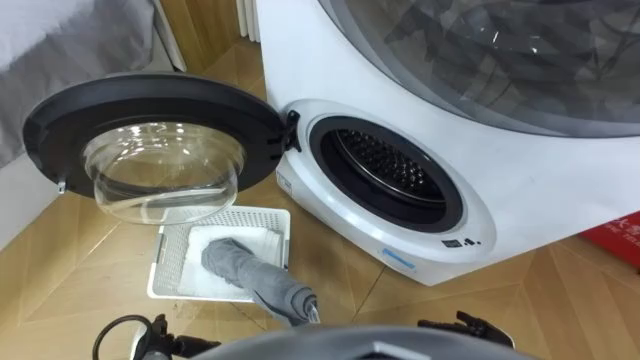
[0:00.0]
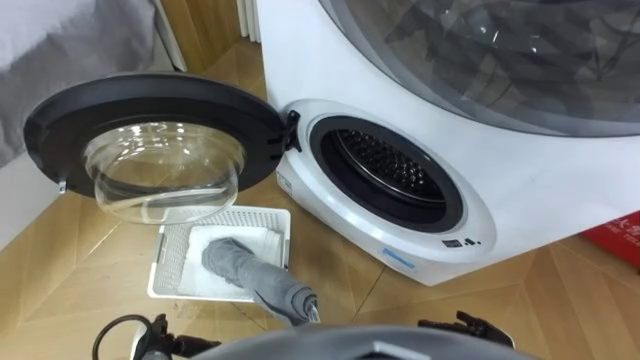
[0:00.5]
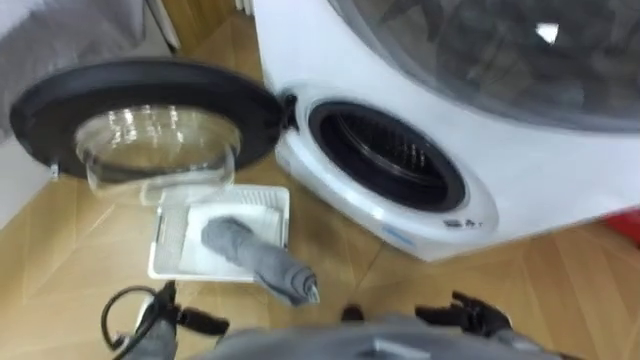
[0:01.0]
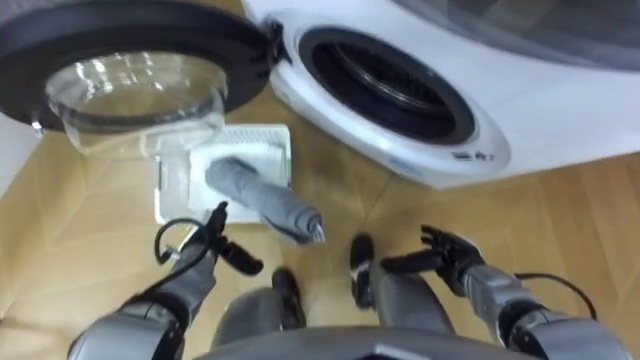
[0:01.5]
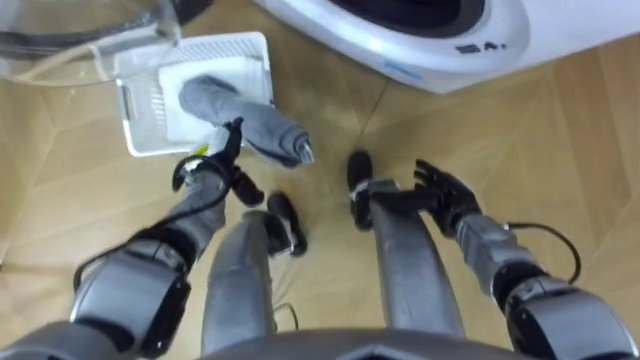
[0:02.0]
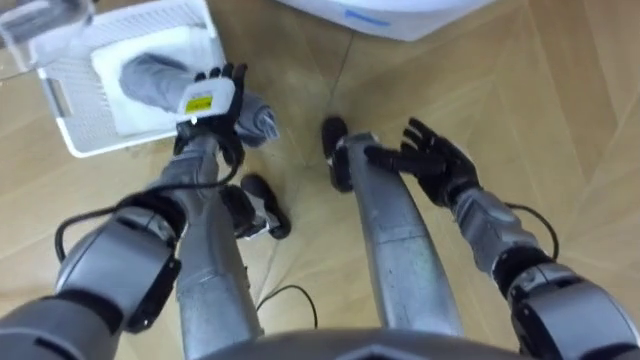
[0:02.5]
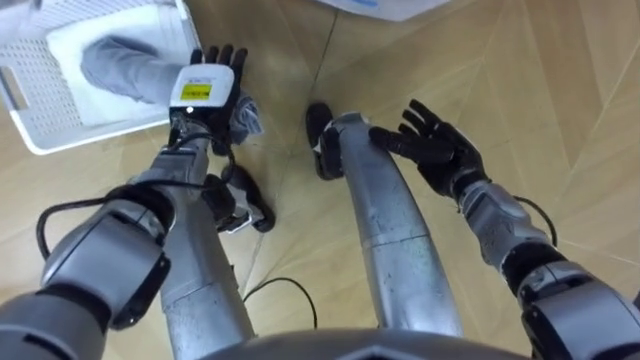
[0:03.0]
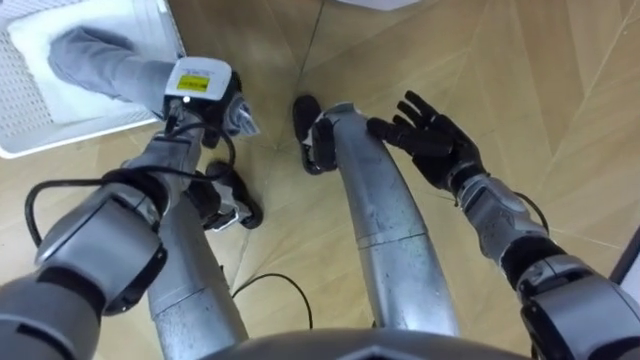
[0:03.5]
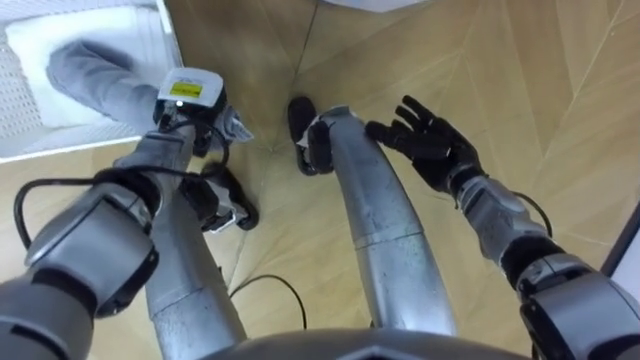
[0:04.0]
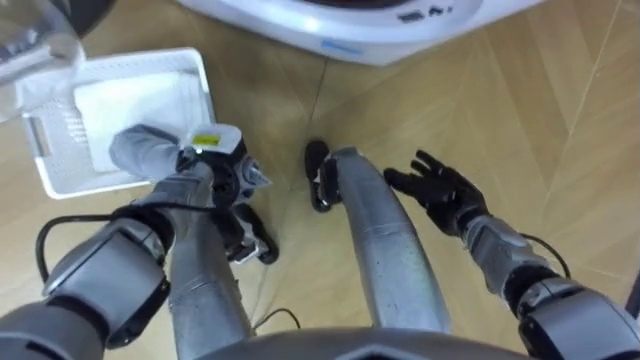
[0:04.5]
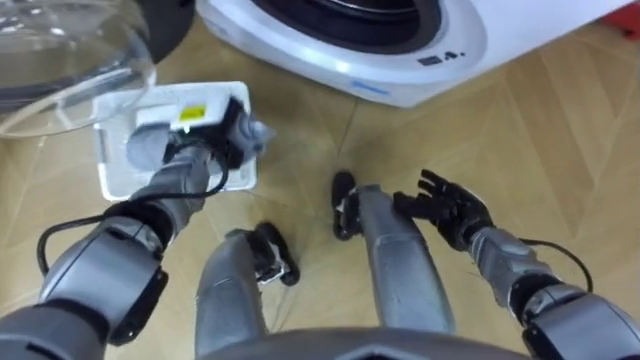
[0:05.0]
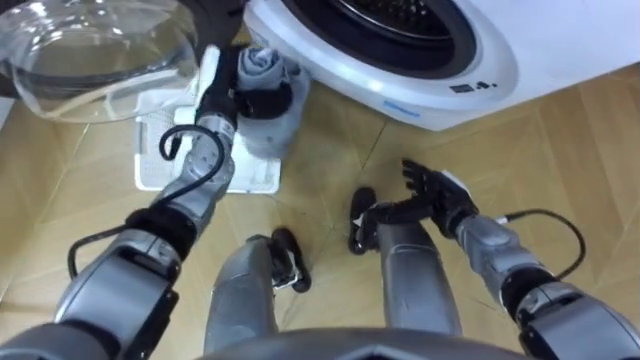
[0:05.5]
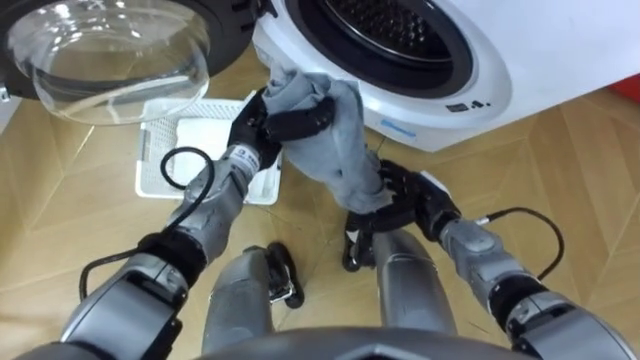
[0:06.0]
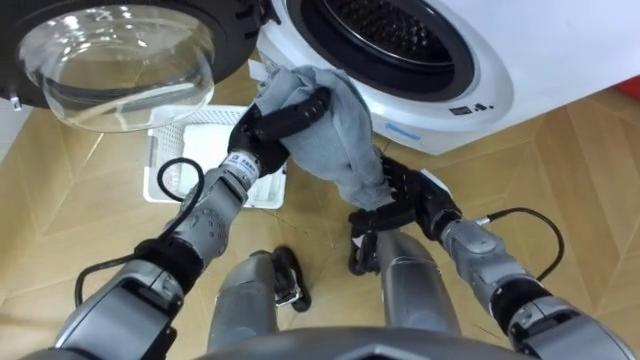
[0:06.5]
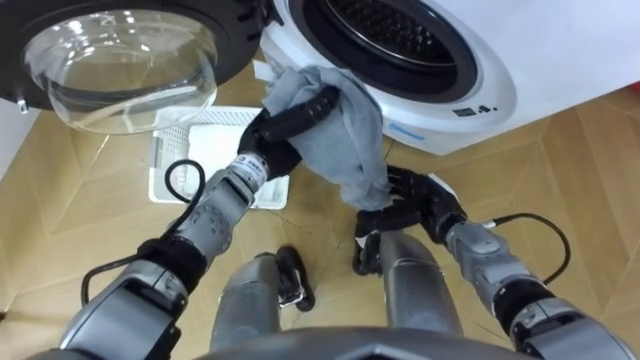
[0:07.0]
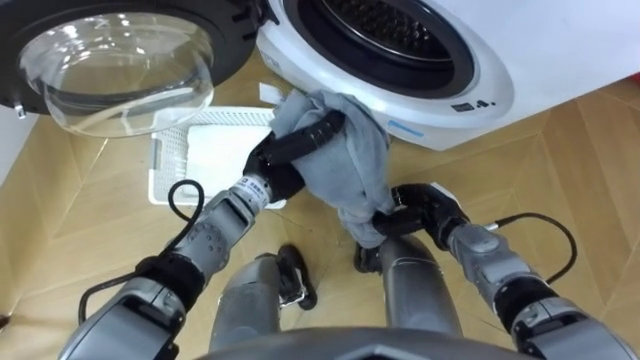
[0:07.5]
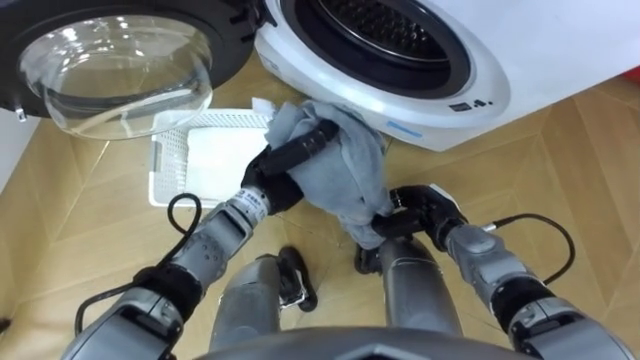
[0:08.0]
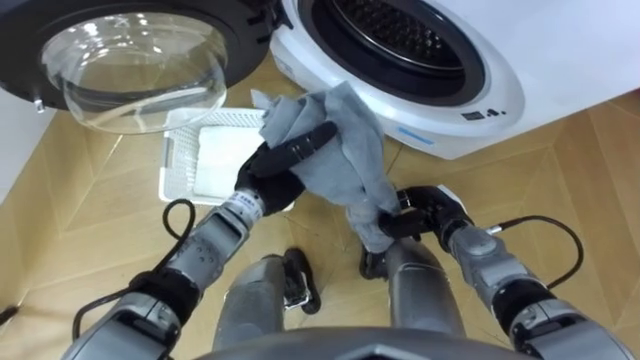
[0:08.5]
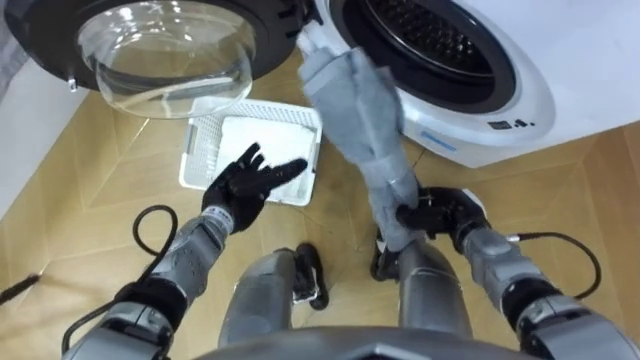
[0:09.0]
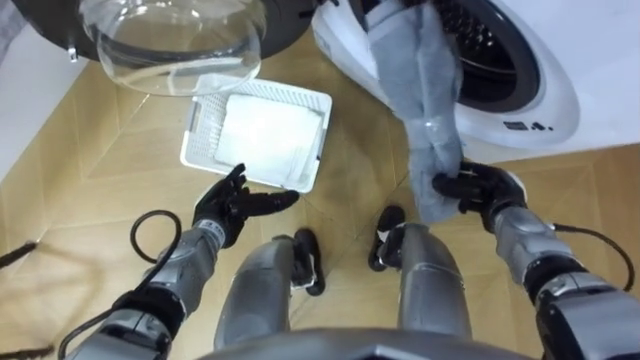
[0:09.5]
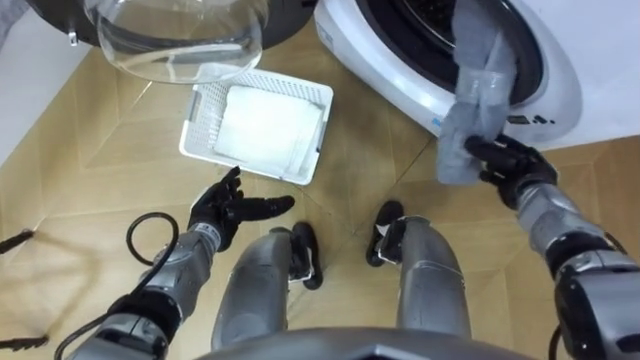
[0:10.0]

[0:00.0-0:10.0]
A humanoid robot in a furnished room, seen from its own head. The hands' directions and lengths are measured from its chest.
Task of the whole recording: Take the towel from the basket and put it into the washing machine.
0:02.0 to 0:04.0: Both hands travel together upward and forward, about 10 cm. The left hand closes up.
0:04.0 to 0:06.0: The left hand moves to the right, approximately 10 cm. Meanwhile the right hand travels backward by roughly 5 cm.
0:06.0 to 0:08.0: The left hand moves backward, approximately 5 cm, while the right hand closes up.
0:08.0 to 0:10.0: The right hand goes roughly 10 cm to the right. Meanwhile the left hand shifts roughly 15 cm to the left and downward, and opens its fingers.

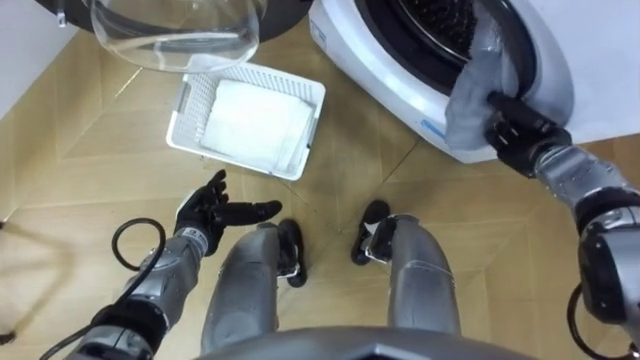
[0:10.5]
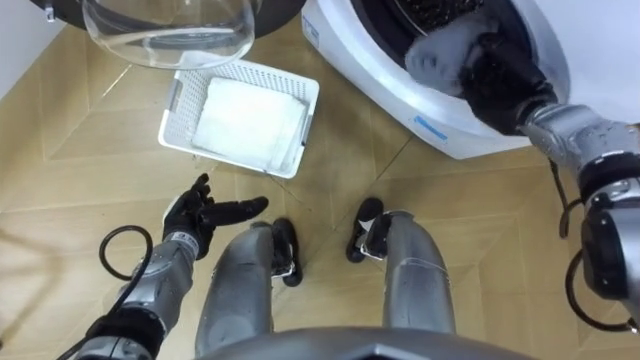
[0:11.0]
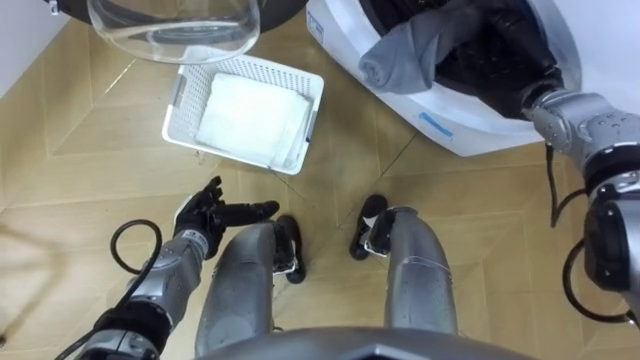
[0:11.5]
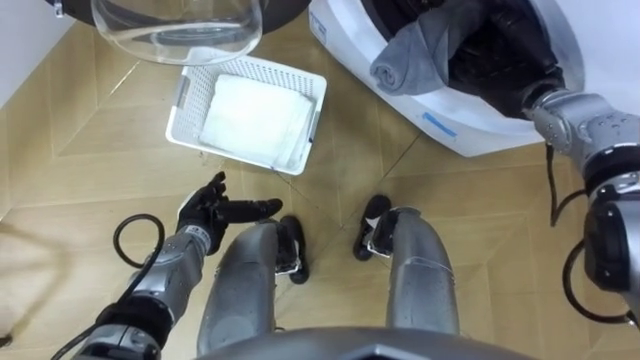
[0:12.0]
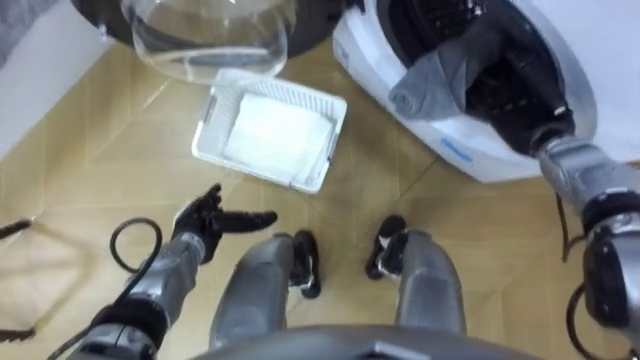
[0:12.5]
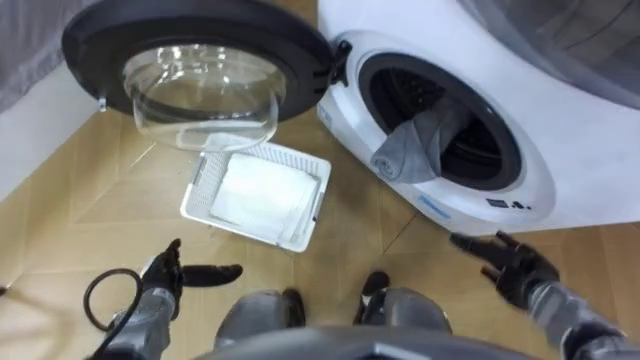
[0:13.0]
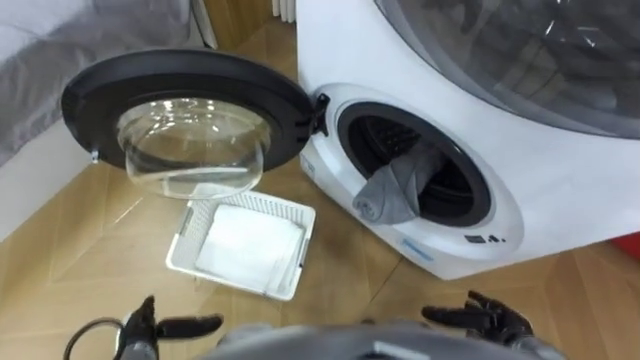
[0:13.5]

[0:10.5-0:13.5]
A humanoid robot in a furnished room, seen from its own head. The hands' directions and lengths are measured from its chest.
Task of the whole recording: Take the towel from the basket and put it into the washing machine.
0:10.5 to 0:12.0: The right hand moves upward and forward, about 10 cm, and opens its fingers.
0:12.0 to 0:13.5: The right hand is displaced backward and downward by approximately 35 cm; the left hand goes about 20 cm backward and to the left.

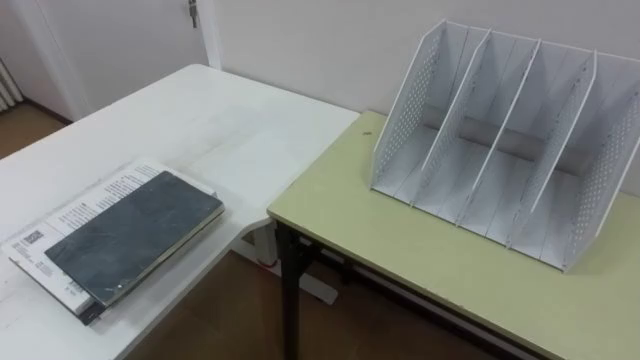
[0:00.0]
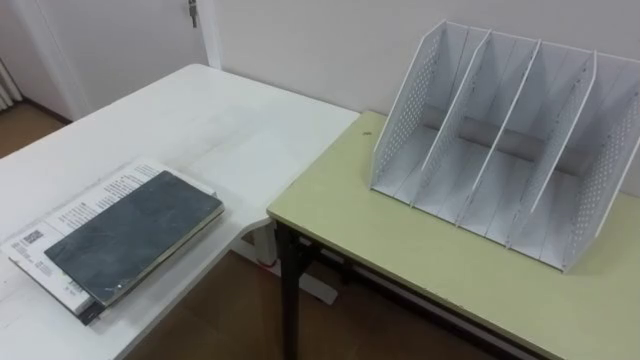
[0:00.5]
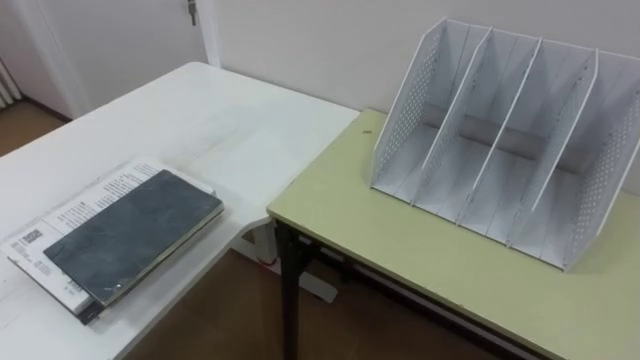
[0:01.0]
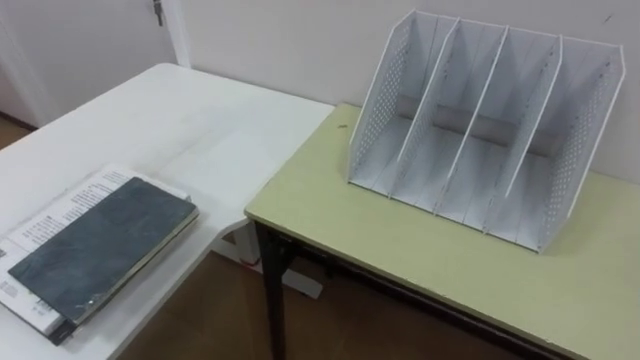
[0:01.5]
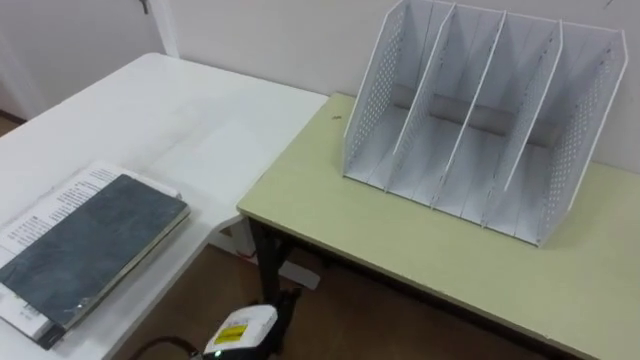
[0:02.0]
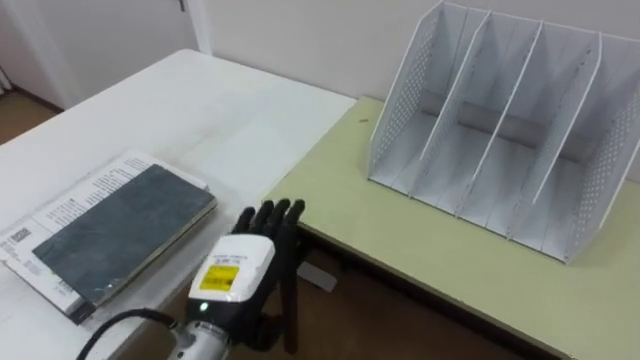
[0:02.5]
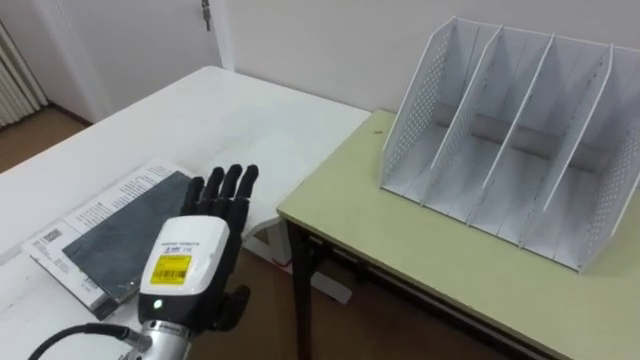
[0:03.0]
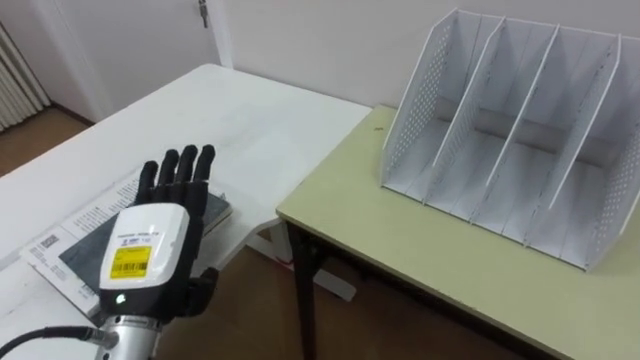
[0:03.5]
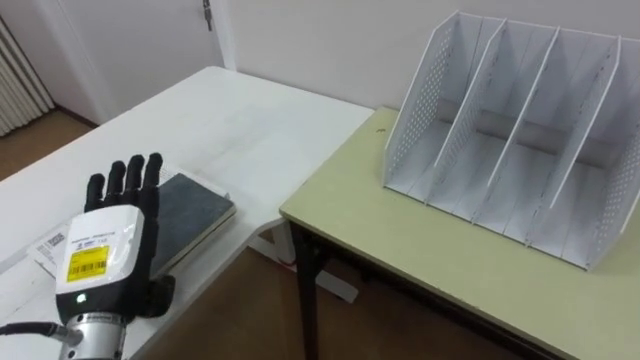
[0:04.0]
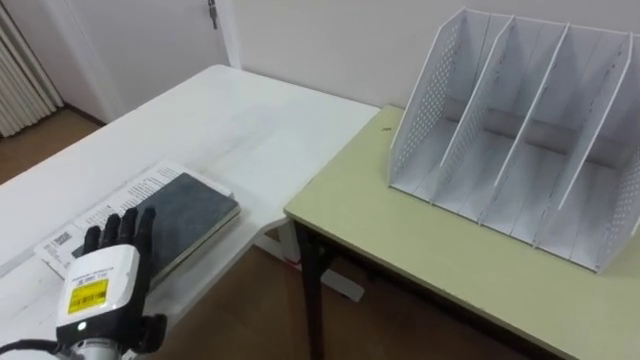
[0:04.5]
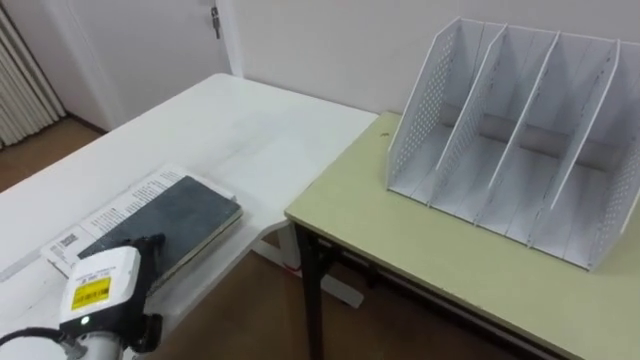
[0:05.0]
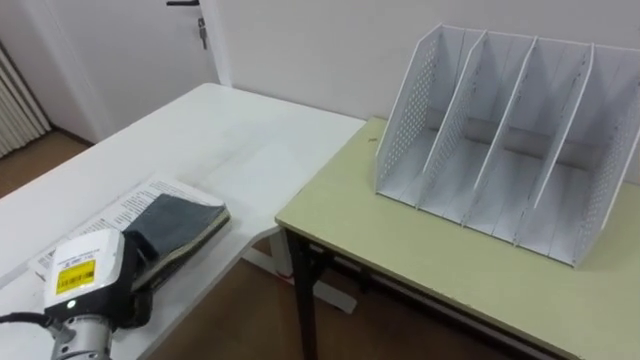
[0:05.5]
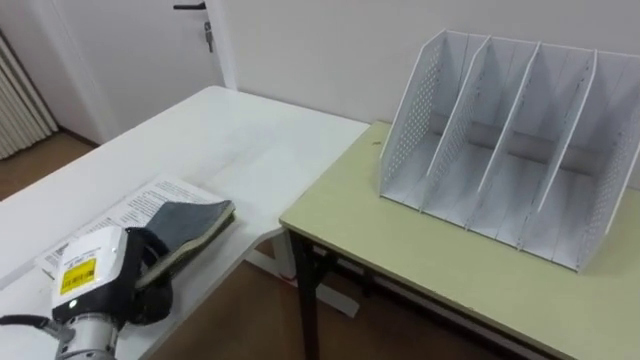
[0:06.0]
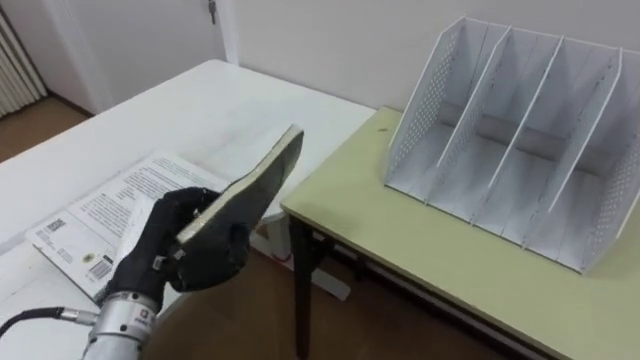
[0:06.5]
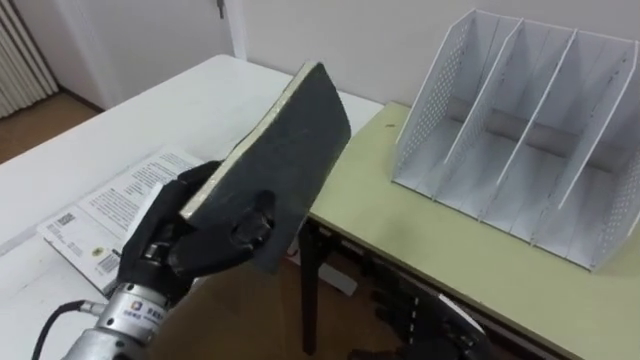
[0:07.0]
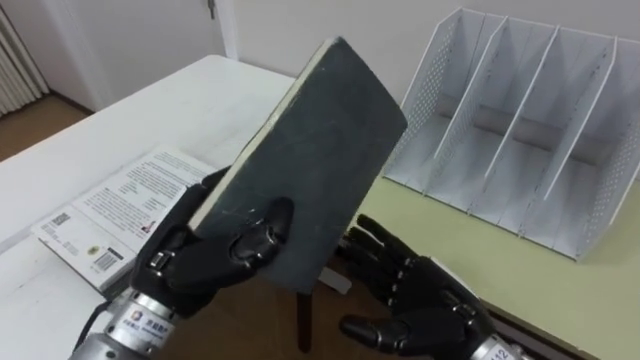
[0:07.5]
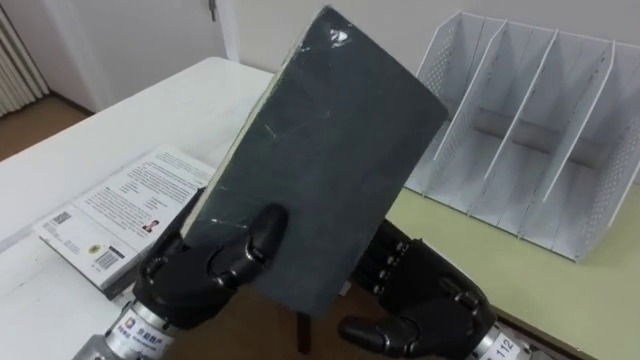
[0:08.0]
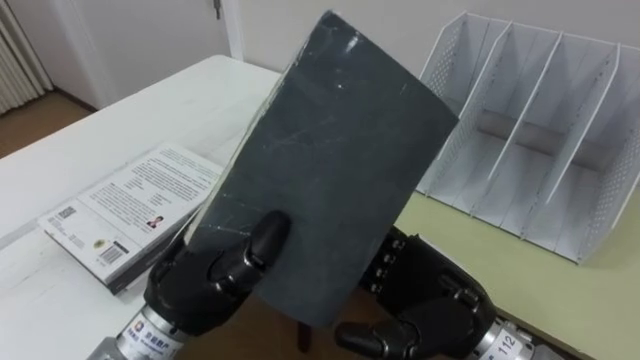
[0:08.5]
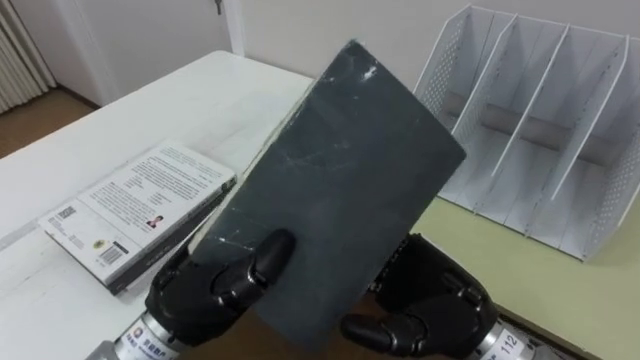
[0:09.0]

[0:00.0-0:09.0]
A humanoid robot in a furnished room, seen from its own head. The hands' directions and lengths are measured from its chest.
Task of the whole recording: Put the books on the table onto the bookshelf.
0:02.0 to 0:04.5: The left hand is displaced to the left and upward by approximately 20 cm.
0:04.5 to 0:07.0: The left hand travels upward and to the right by about 10 cm, and closes up.
0:07.0 to 0:09.0: The right hand travels upward by some 10 cm, while the left hand moves to the right, about 5 cm.
